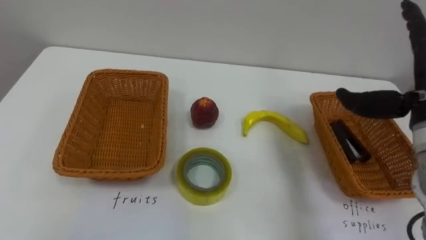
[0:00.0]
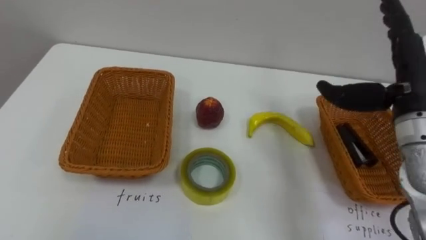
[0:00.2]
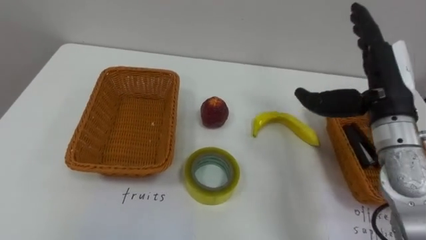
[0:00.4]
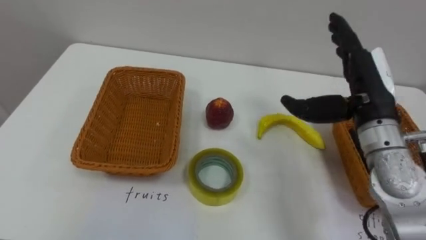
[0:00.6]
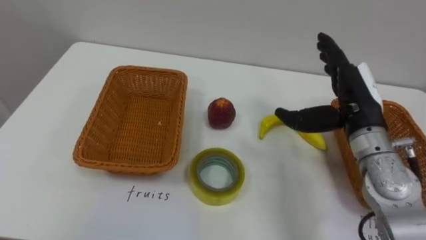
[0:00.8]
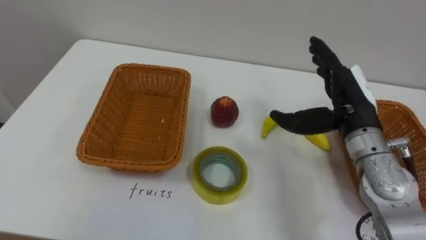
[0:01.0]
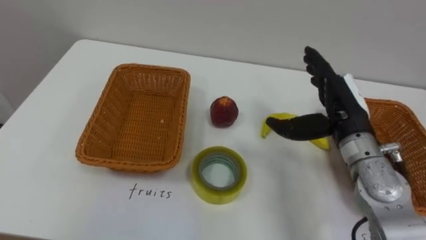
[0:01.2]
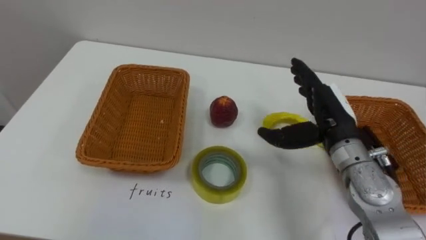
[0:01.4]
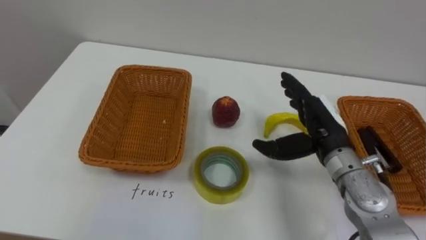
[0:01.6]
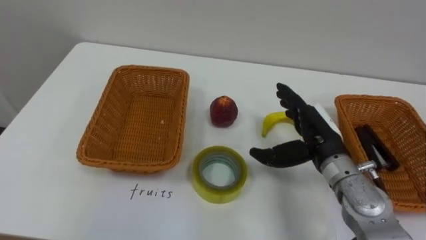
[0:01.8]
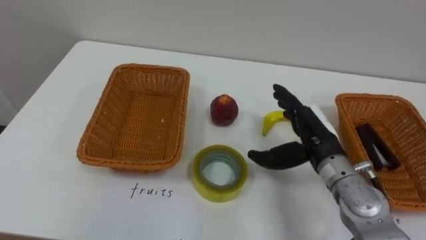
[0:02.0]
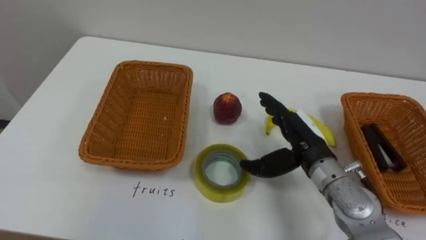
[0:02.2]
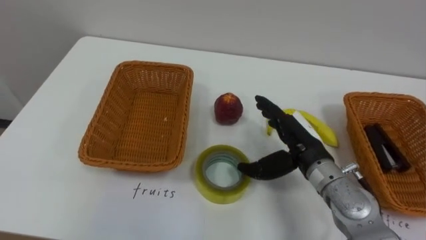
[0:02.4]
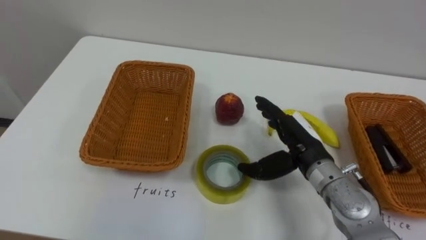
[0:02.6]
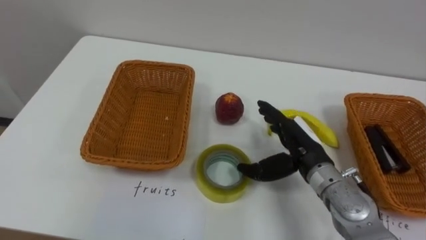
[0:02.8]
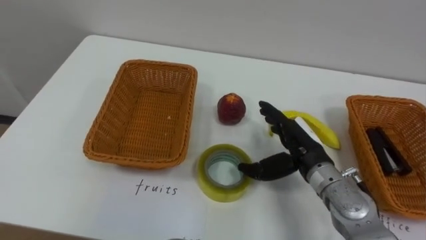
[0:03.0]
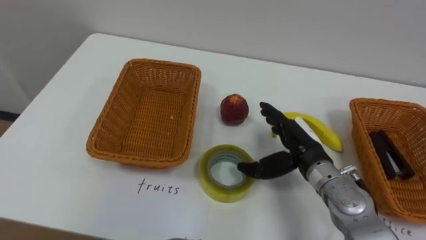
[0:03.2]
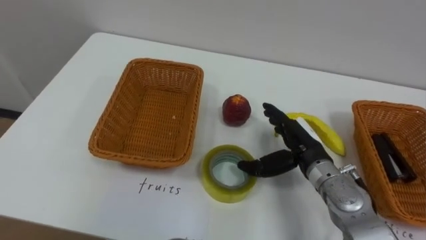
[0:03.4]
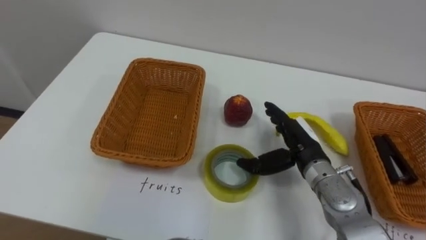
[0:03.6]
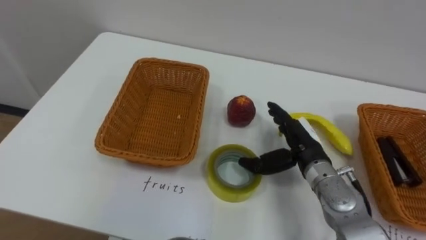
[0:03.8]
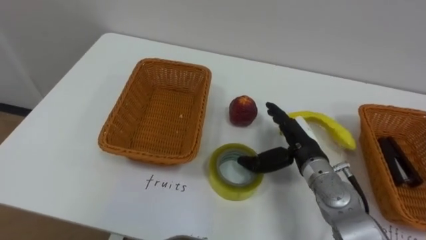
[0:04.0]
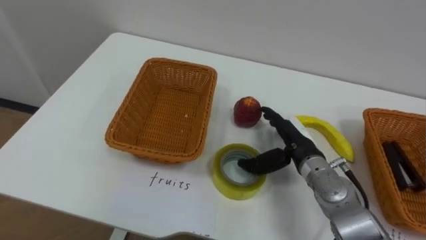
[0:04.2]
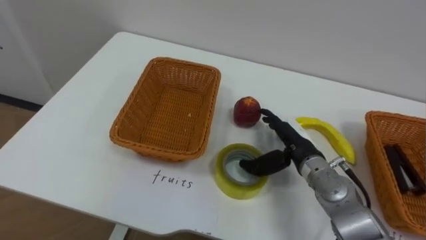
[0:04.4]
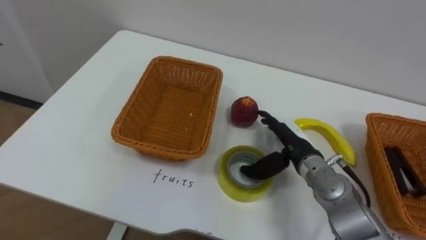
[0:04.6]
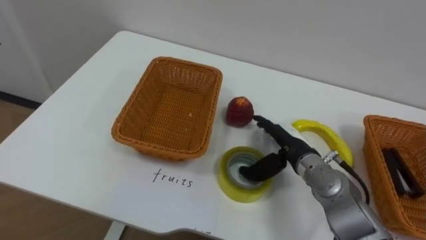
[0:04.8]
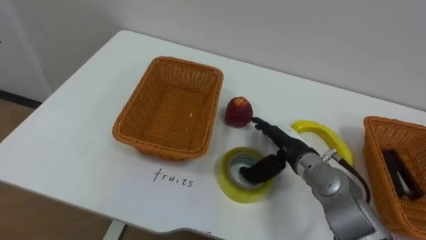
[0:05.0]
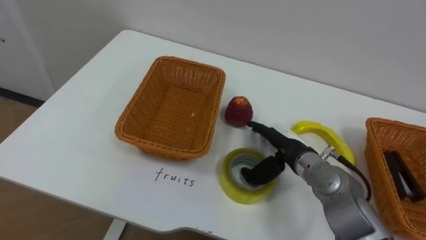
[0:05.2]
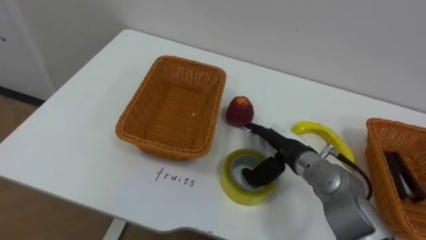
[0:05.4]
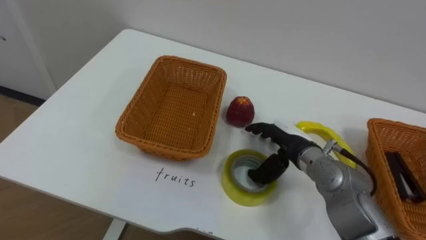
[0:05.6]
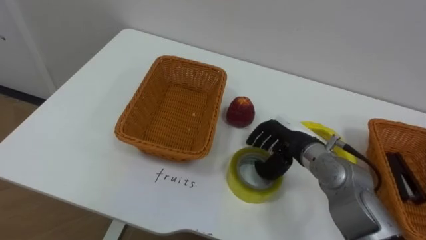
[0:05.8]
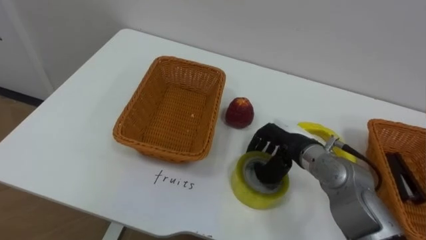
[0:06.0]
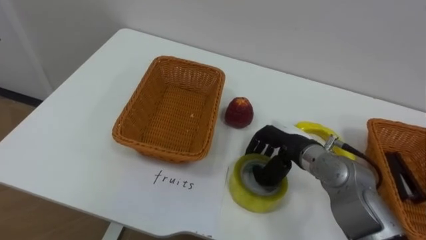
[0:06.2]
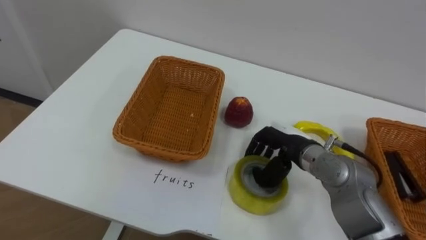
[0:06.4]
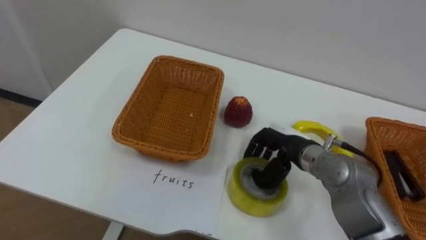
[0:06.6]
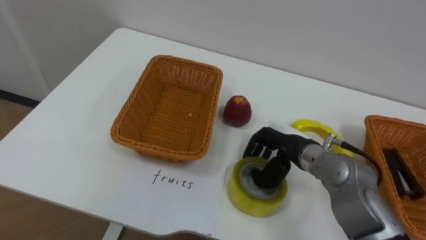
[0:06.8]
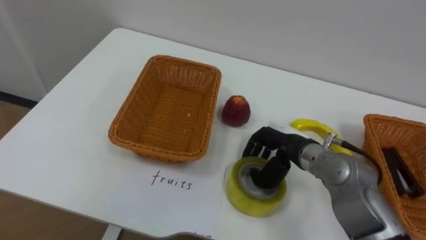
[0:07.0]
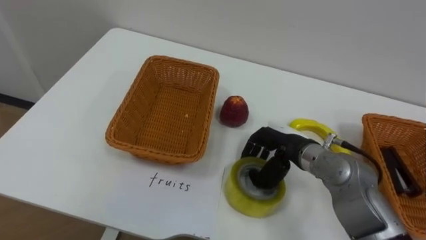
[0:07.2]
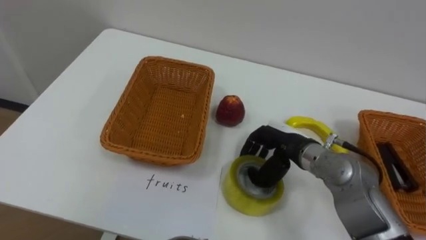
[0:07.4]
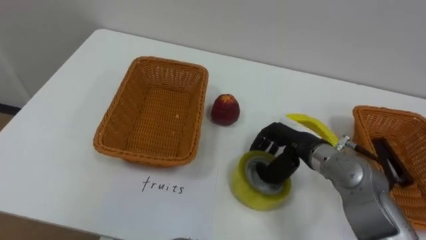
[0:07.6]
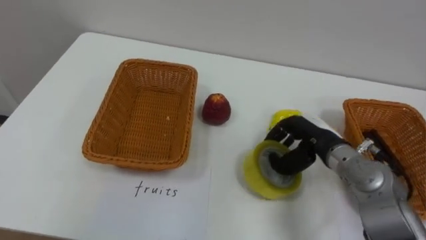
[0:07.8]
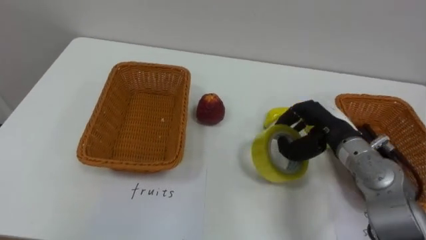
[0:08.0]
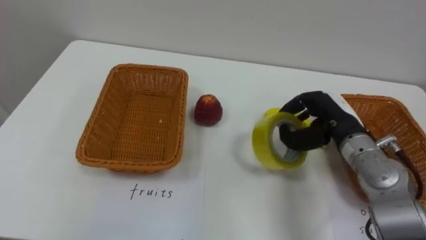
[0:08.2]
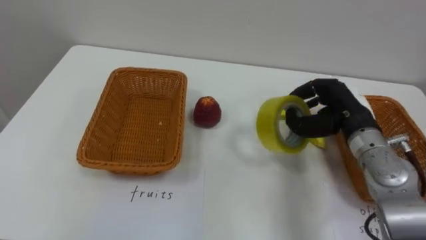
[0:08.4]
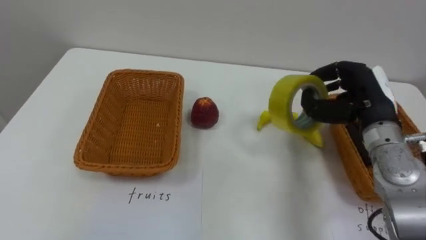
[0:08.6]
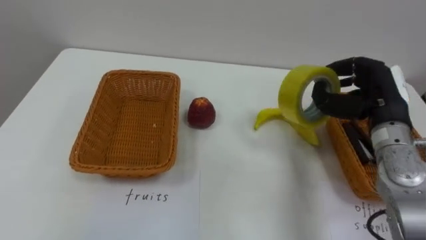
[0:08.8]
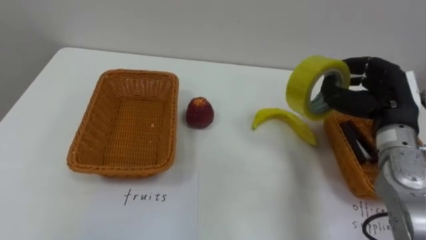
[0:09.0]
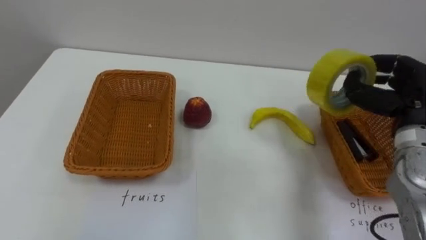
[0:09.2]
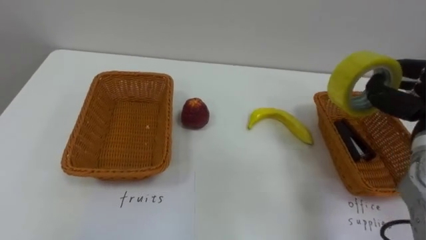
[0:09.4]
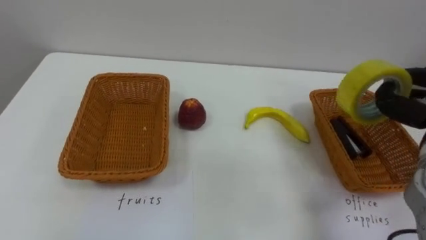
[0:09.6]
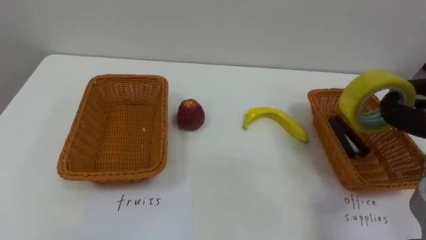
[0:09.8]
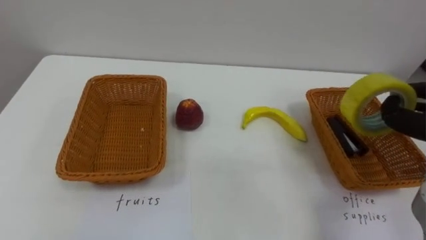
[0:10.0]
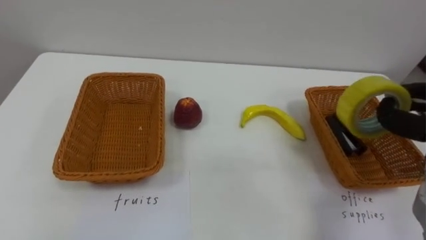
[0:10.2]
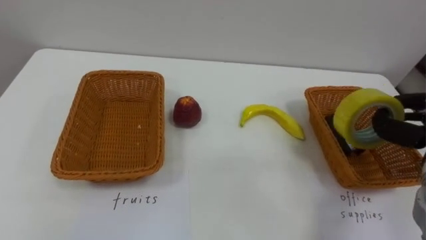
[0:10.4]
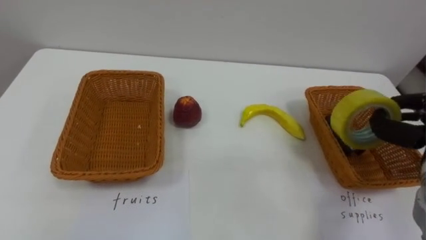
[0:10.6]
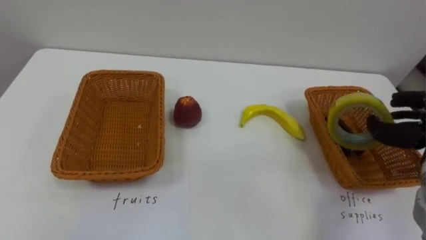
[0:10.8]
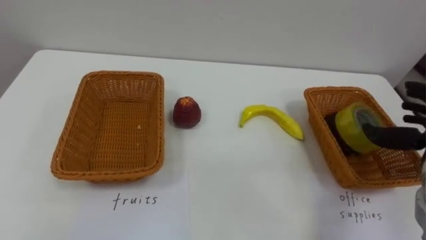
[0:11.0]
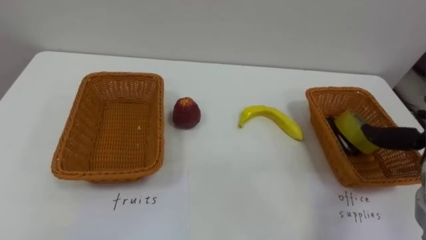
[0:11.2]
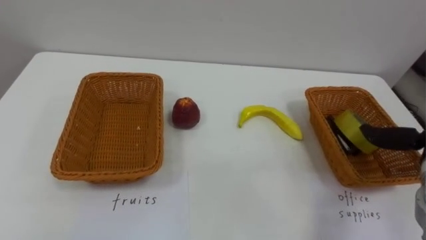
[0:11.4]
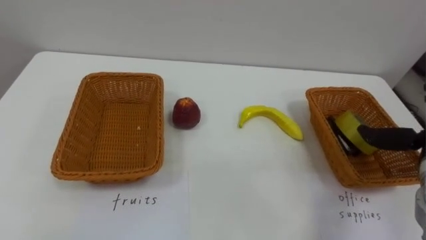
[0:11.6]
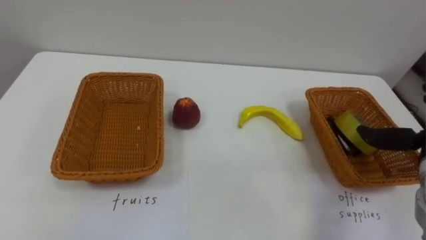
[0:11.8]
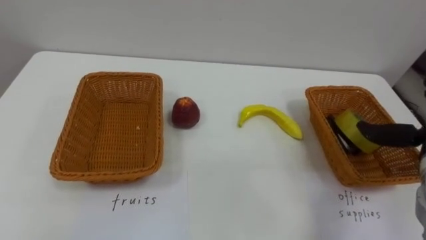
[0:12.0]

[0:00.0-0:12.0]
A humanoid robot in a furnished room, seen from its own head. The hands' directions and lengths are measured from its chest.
Task of the whole recording: Separate the items on the table and place them into the two baskets.
0:00.0 to 0:01.6: The right hand goes approximately 15 cm to the left and downward.
0:01.6 to 0:03.0: The right hand moves about 5 cm.
0:04.4 to 0:06.0: The right hand closes its fingers.
0:07.6 to 0:09.0: The right hand shifts some 15 cm to the right and upward.

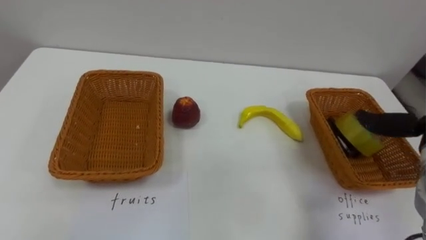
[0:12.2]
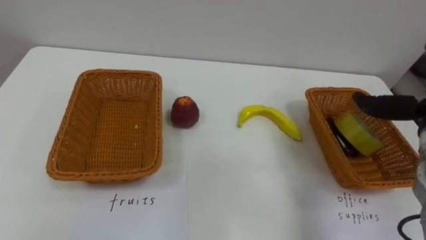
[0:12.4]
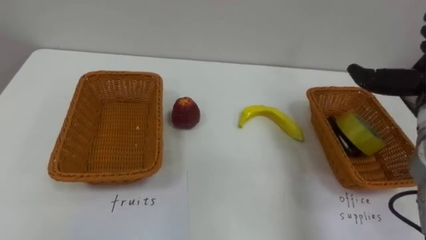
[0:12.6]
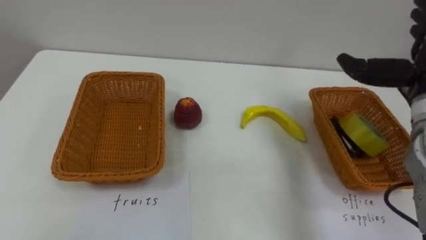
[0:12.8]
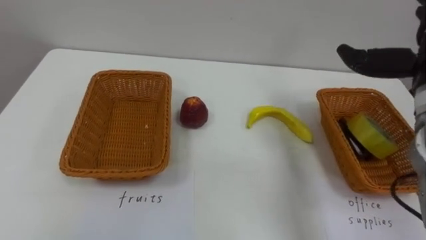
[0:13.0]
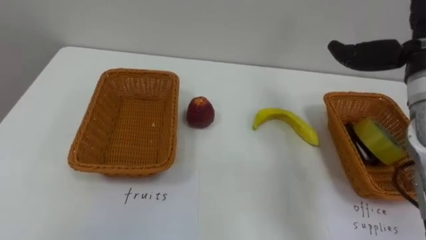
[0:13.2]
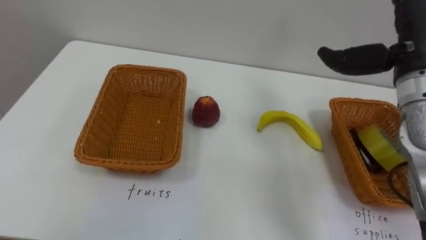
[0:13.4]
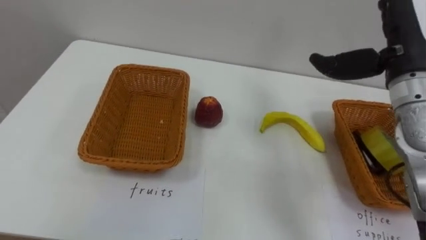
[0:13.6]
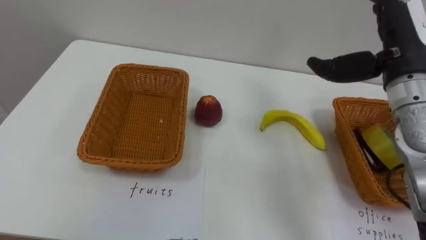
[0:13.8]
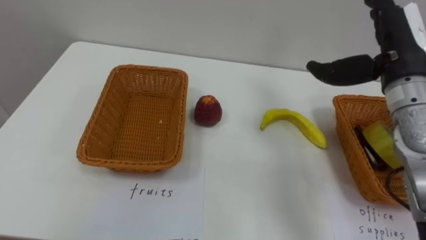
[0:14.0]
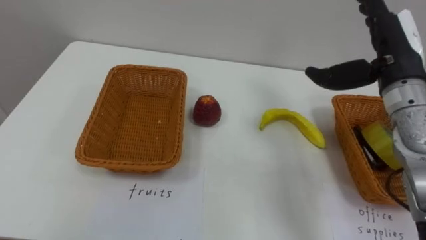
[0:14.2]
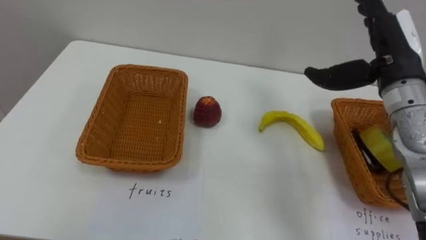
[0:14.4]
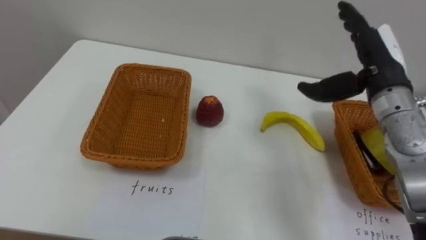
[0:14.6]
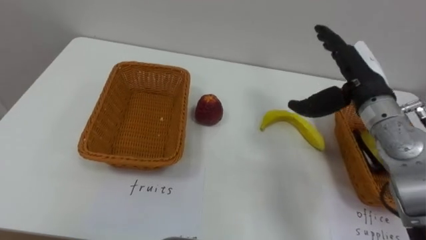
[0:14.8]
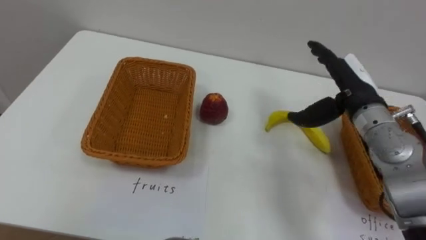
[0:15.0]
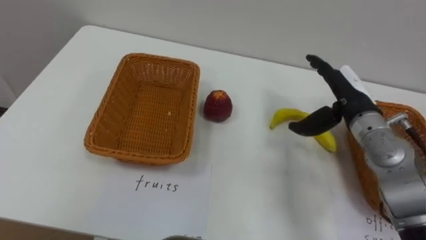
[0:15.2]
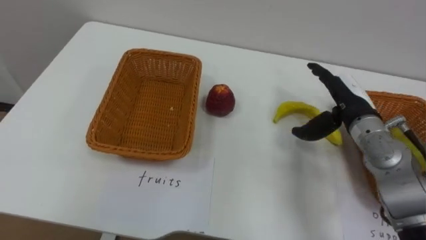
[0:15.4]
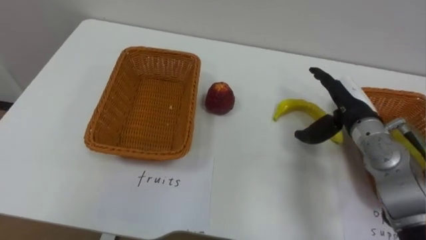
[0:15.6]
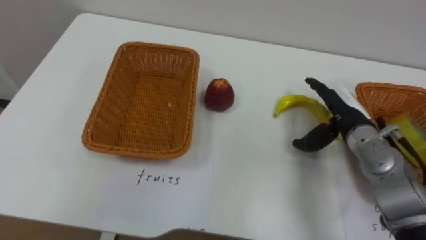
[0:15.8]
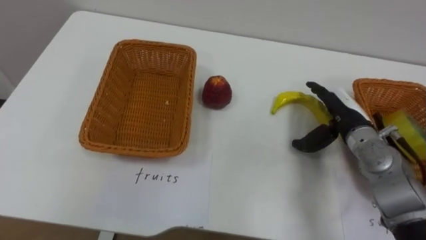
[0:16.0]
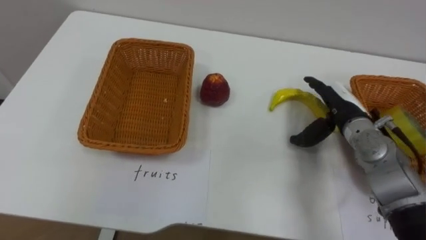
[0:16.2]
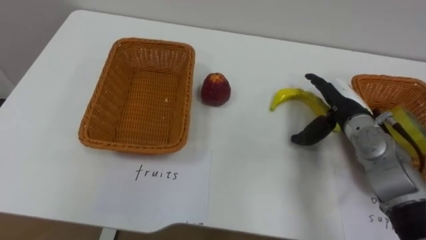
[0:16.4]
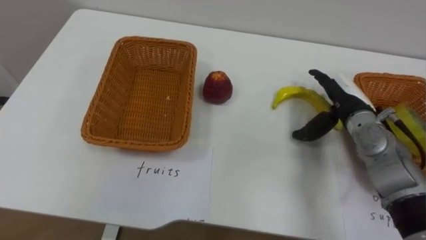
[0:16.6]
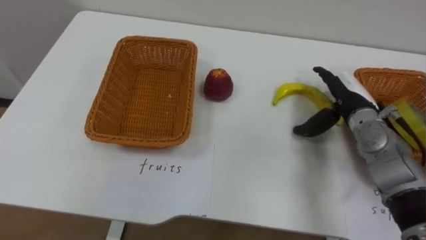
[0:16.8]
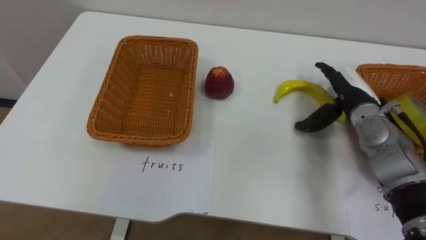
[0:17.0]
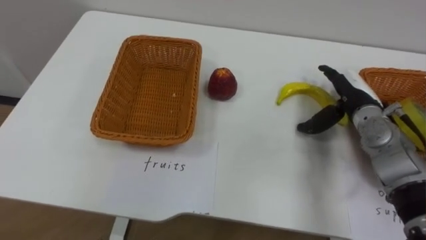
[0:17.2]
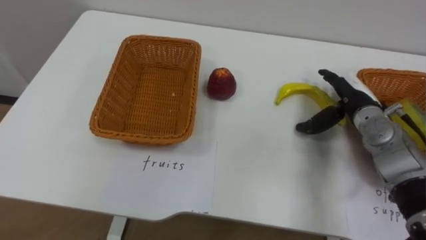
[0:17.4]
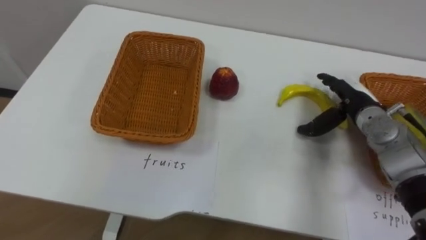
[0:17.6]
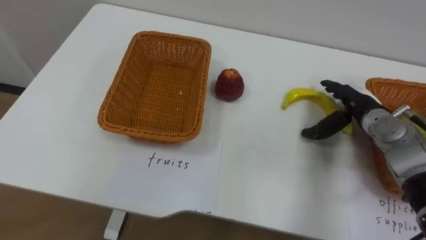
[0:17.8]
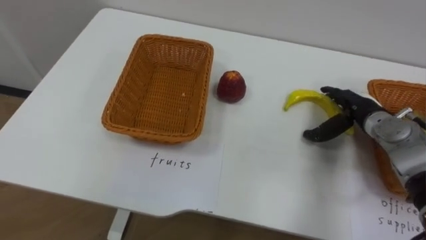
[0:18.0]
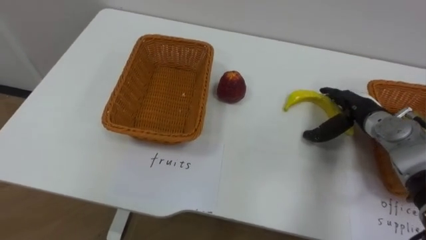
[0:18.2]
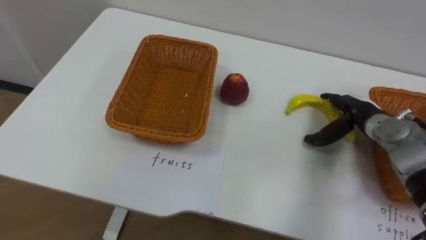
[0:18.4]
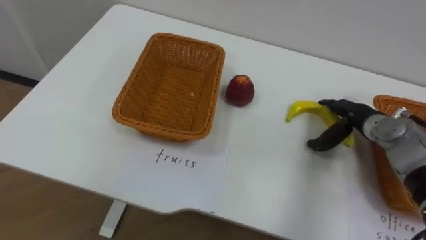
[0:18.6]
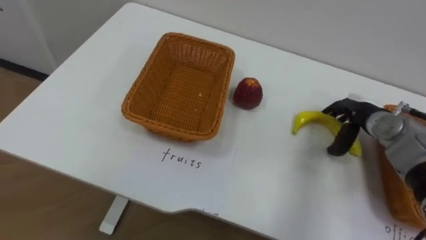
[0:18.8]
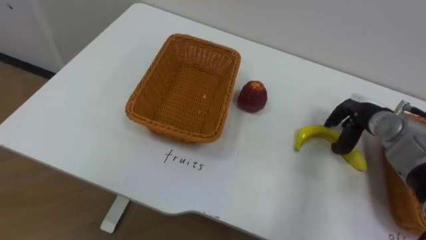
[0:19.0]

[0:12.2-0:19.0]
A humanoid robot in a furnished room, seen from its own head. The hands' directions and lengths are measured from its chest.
Task of the whole recording: Separate the items on the table and place them into the two baskets.
0:13.6 to 0:15.0: The right hand goes roughly 10 cm downward.
0:15.0 to 0:16.2: The right hand goes roughly 5 cm downward.
0:17.6 to 0:19.0: The right hand closes its fingers.
